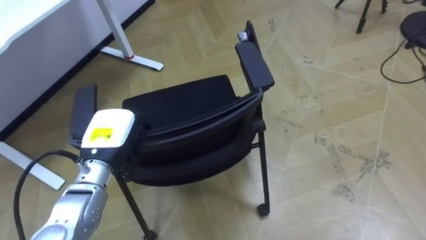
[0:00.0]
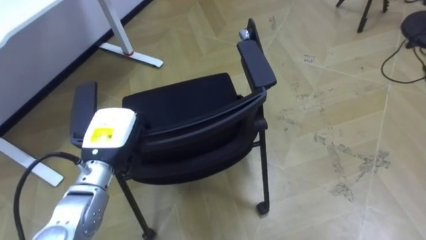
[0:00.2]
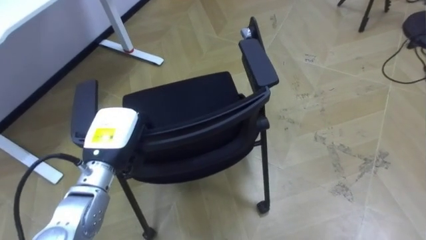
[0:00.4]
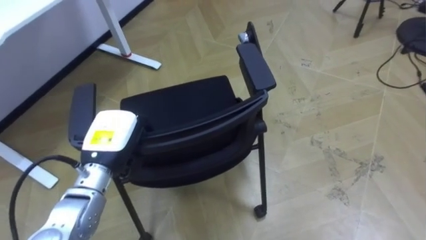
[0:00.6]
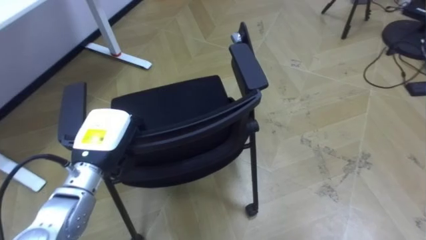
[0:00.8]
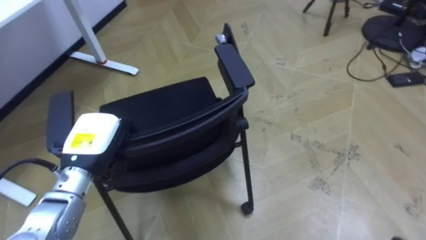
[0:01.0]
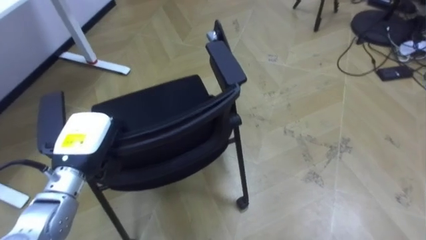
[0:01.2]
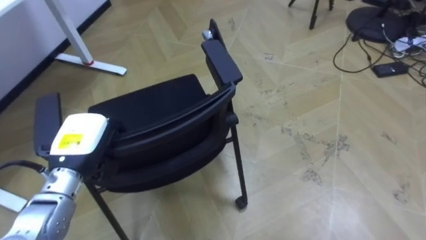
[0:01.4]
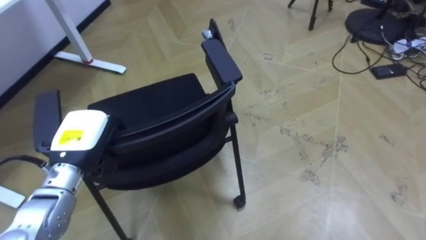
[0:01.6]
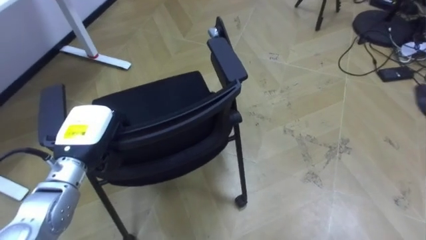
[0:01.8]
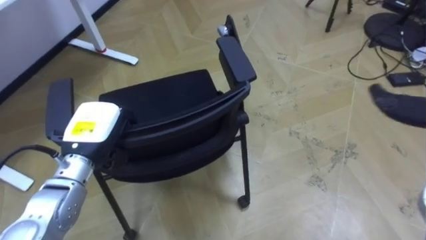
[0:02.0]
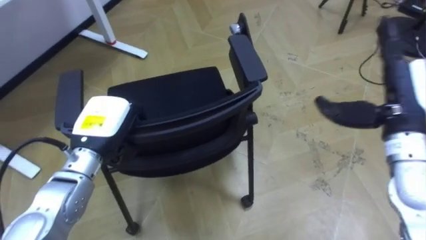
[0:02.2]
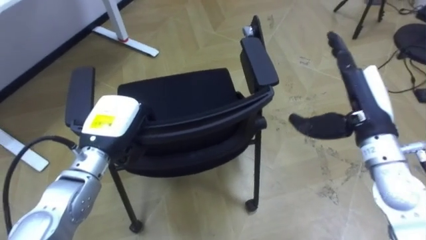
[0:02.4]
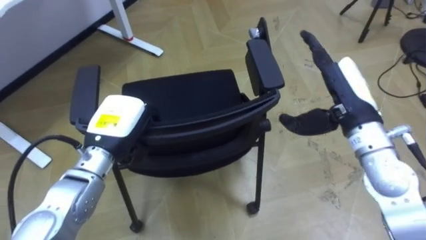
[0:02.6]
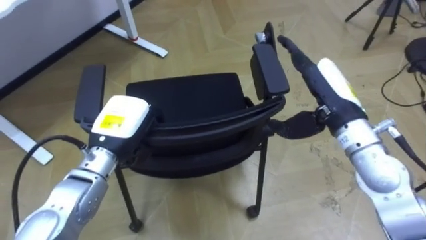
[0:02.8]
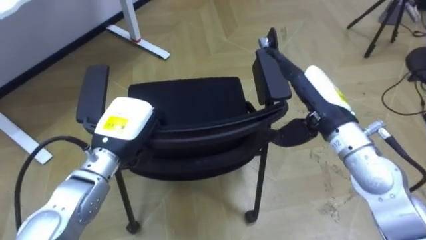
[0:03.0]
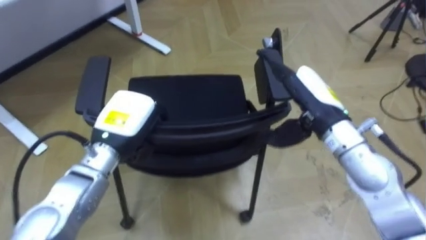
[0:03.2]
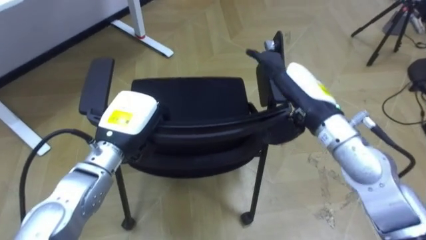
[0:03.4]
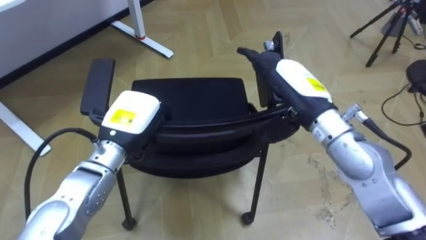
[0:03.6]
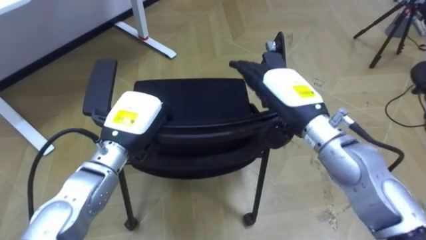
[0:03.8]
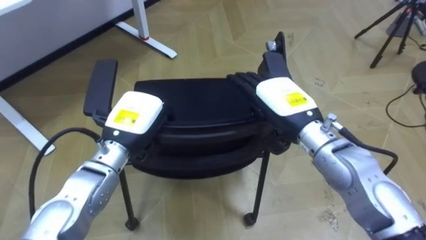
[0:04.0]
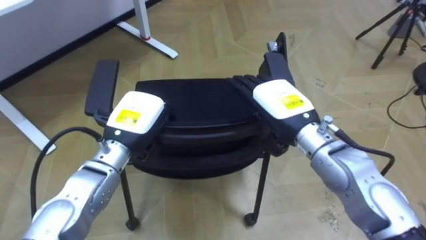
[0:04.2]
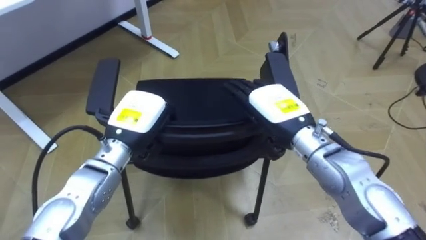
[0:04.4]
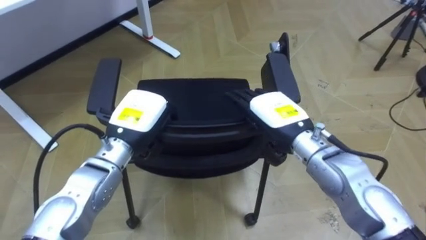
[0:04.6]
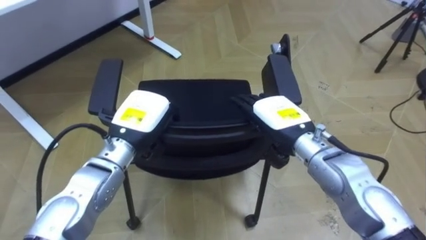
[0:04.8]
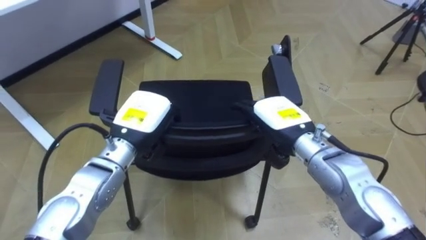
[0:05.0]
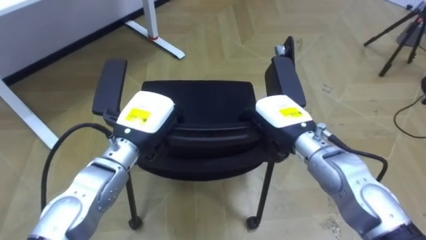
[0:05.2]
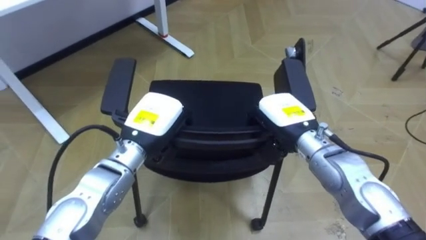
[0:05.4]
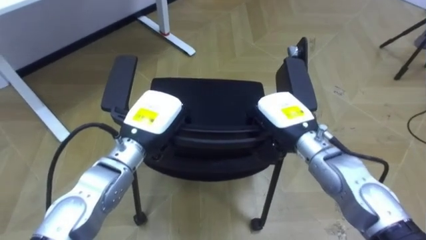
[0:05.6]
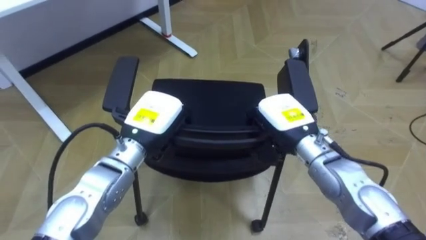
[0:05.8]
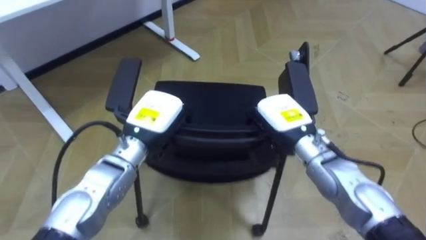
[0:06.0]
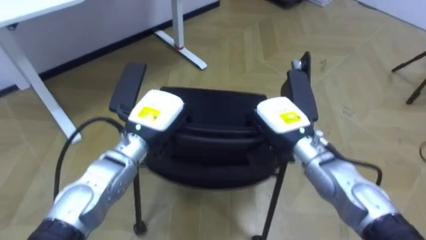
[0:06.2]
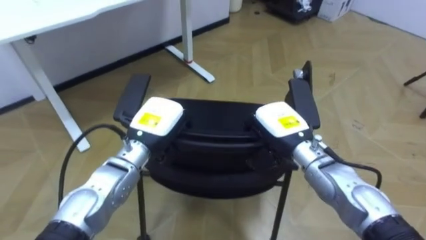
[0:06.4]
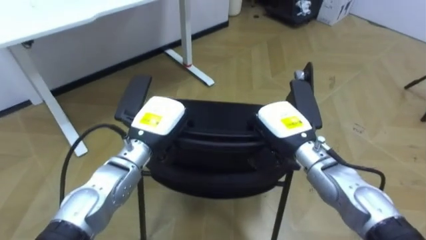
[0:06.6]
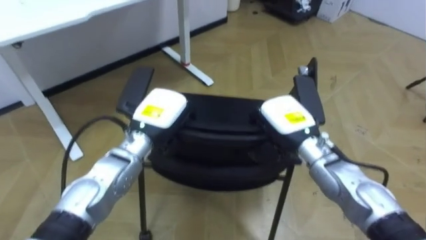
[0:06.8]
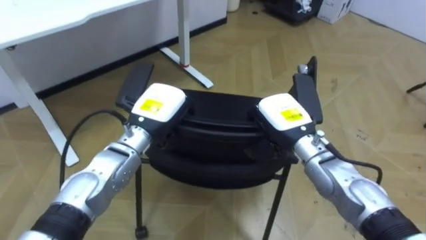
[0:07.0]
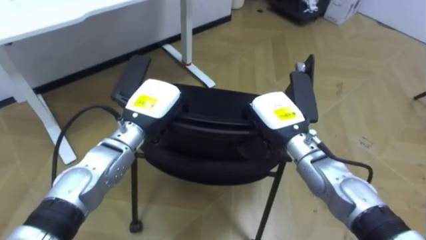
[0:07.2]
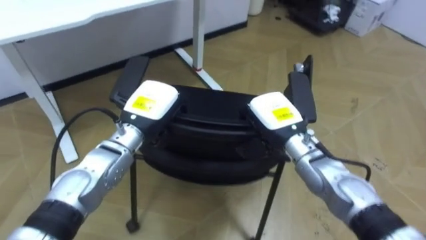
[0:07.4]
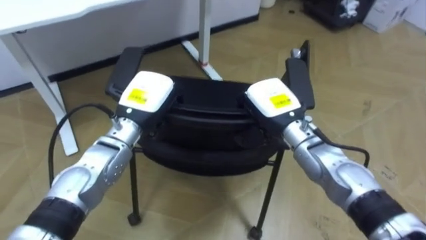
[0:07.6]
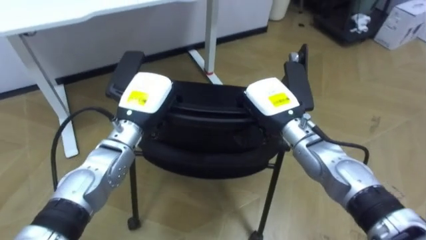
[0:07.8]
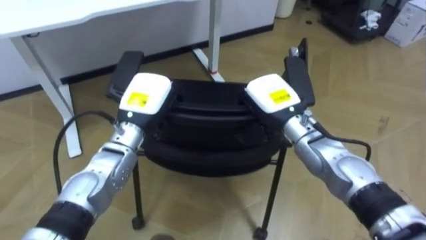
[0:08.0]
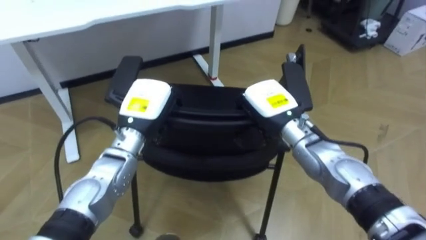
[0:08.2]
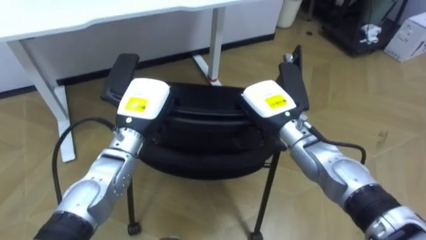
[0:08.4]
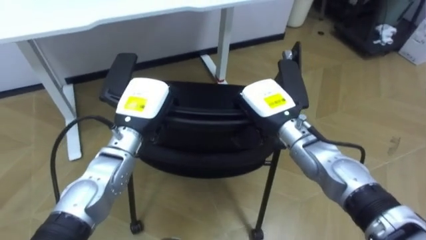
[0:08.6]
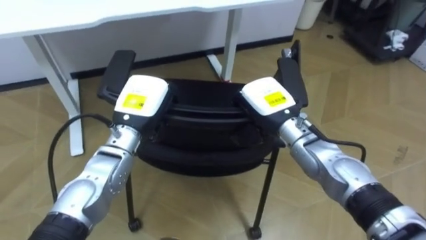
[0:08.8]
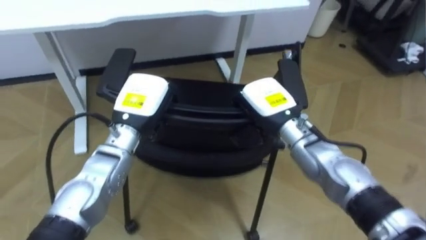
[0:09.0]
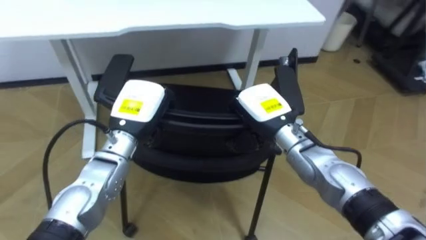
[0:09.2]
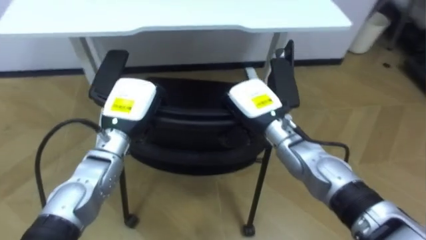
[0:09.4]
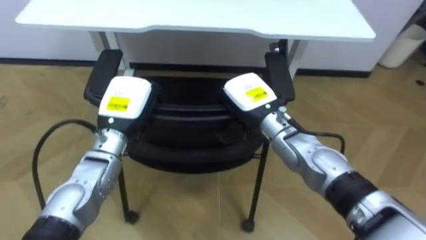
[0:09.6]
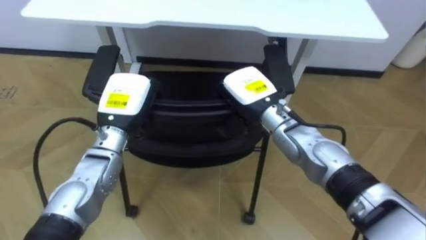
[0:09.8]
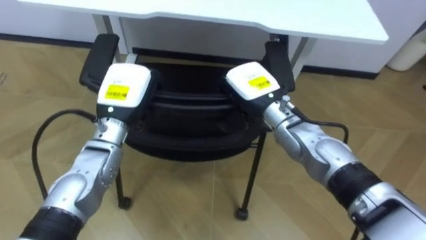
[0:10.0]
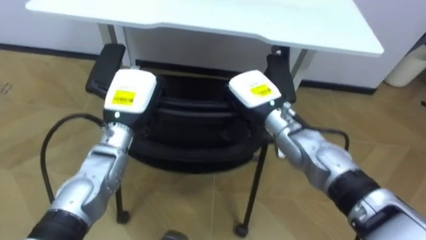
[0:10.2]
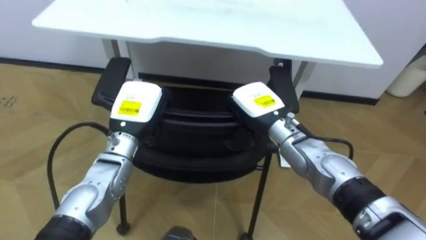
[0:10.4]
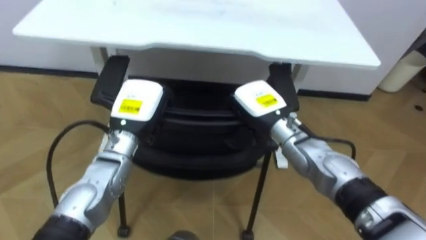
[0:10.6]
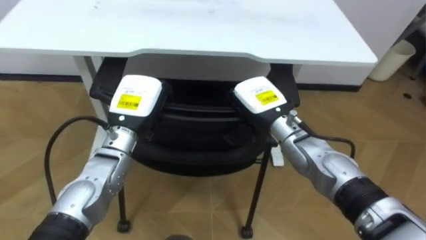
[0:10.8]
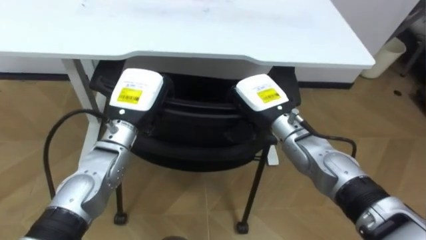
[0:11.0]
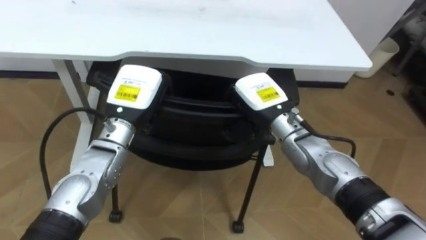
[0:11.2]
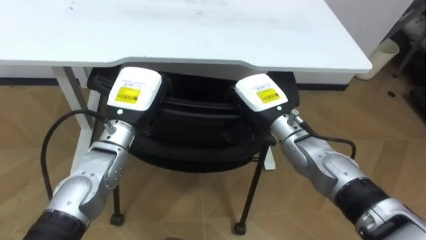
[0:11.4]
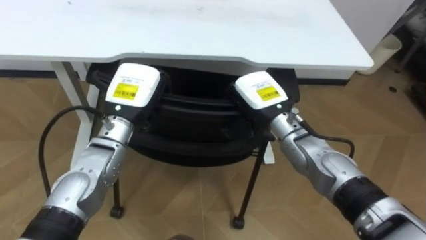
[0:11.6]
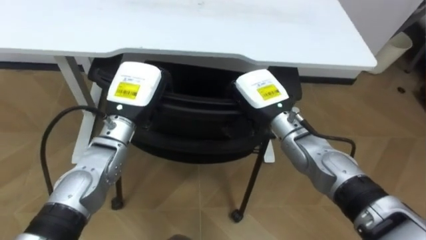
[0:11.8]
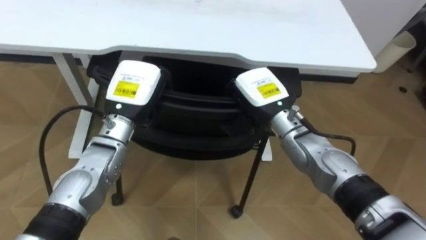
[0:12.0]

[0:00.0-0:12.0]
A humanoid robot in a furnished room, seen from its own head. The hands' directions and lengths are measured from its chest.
Task of the whole recording: Push the chair under the table.
0:01.6 to 0:03.0: The left hand heads to the right, covering about 5 cm.
0:03.0 to 0:04.4: The right hand travels to the left by roughly 5 cm.
0:04.4 to 0:06.0: The right hand moves some 5 cm, and closes its fingers.
0:09.0 to 0:10.4: The robot rotates about 20 degrees to its left.

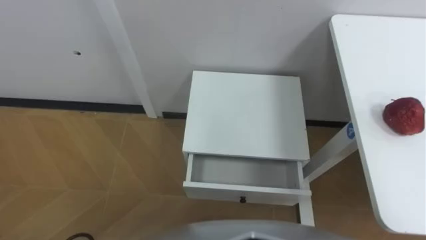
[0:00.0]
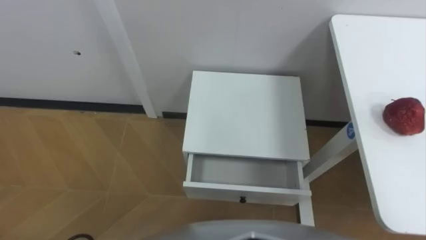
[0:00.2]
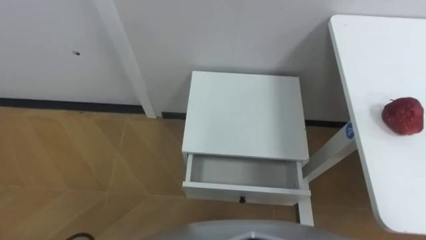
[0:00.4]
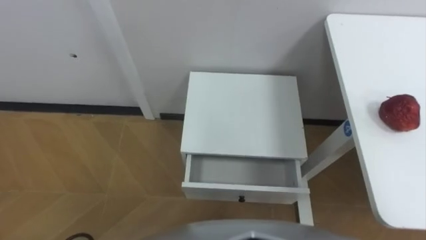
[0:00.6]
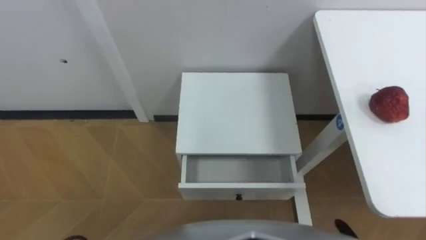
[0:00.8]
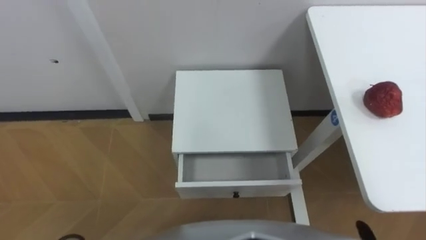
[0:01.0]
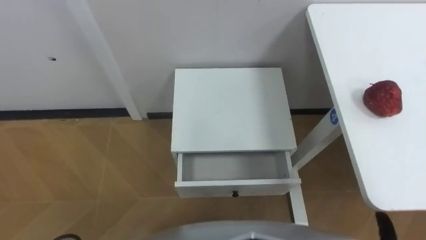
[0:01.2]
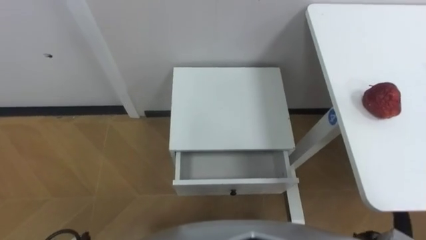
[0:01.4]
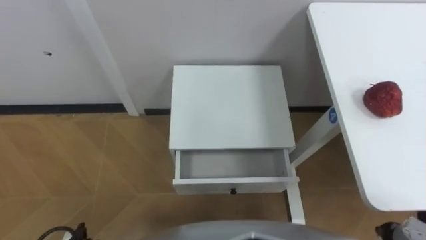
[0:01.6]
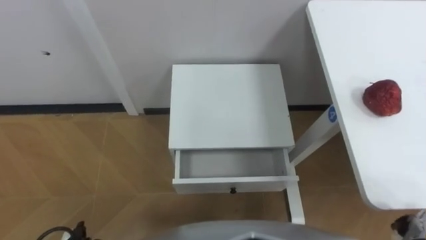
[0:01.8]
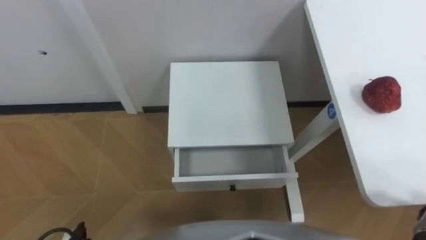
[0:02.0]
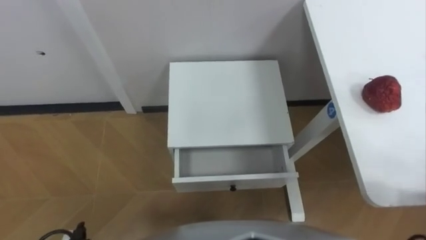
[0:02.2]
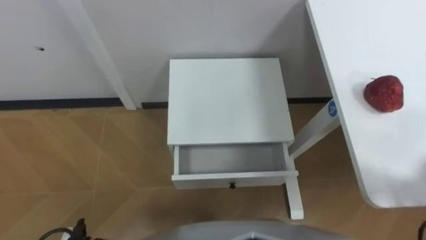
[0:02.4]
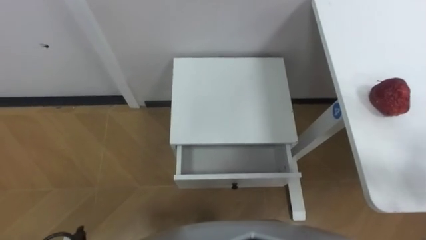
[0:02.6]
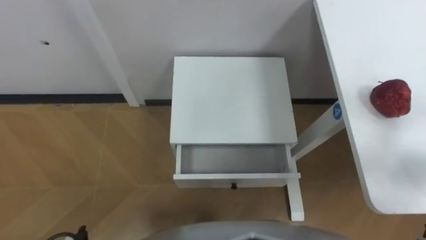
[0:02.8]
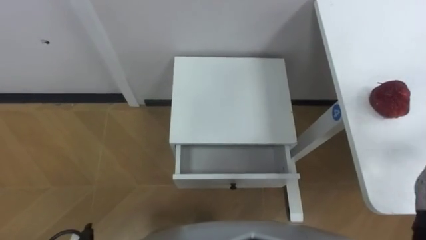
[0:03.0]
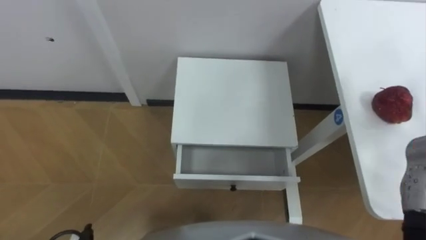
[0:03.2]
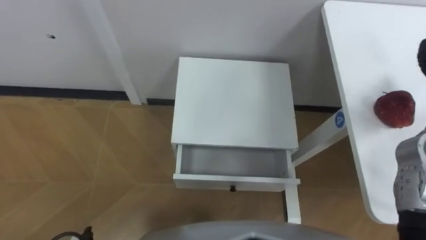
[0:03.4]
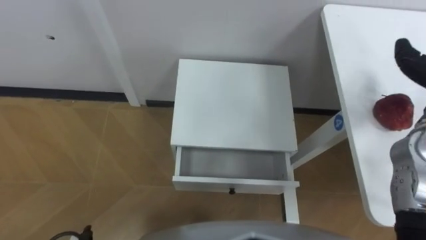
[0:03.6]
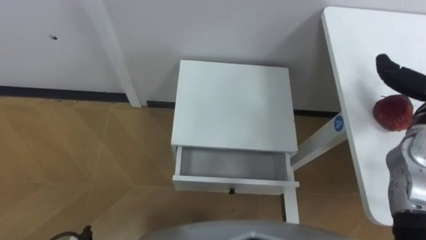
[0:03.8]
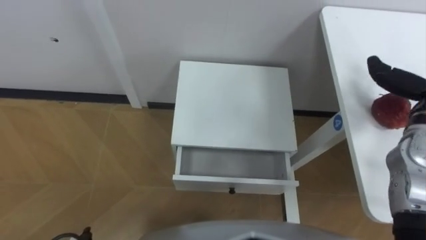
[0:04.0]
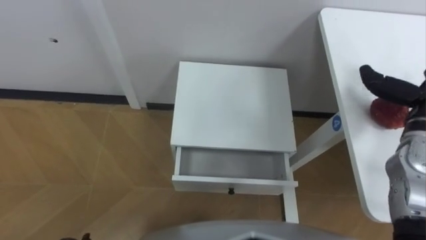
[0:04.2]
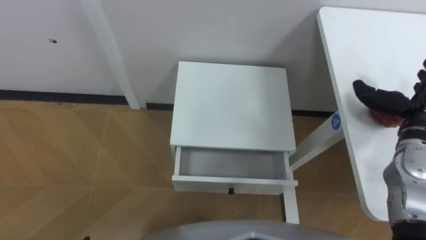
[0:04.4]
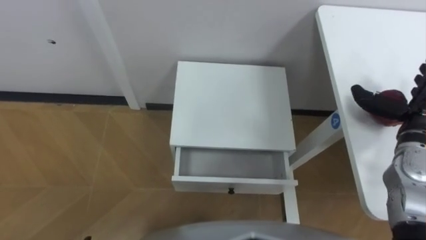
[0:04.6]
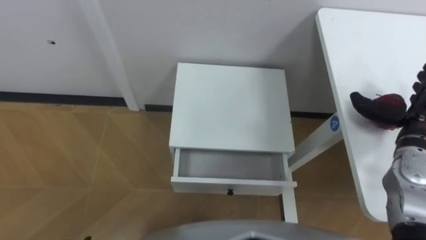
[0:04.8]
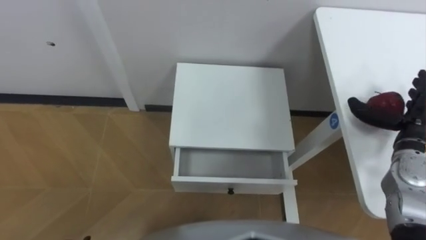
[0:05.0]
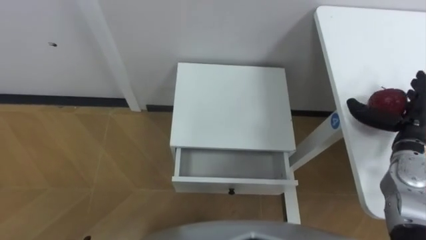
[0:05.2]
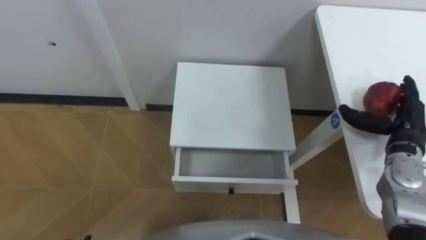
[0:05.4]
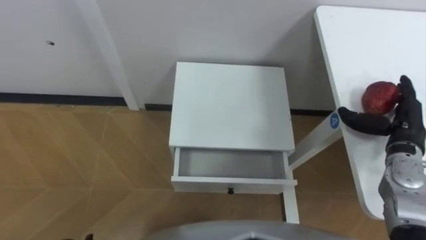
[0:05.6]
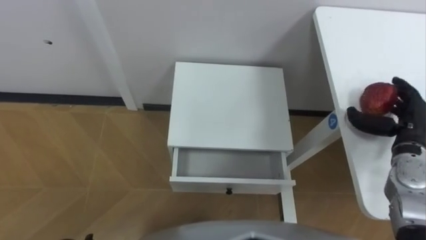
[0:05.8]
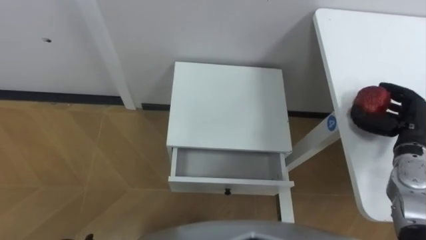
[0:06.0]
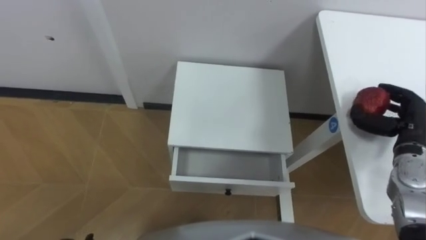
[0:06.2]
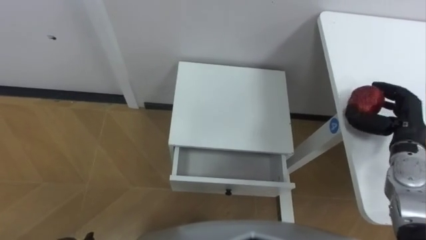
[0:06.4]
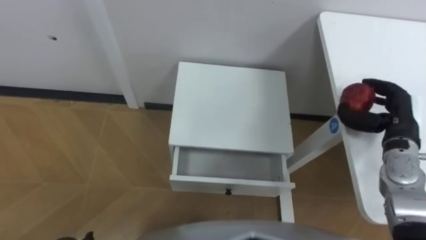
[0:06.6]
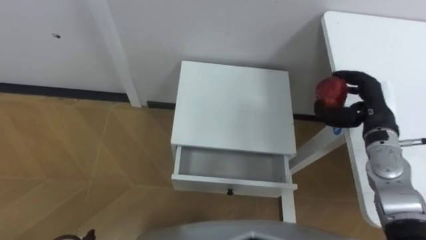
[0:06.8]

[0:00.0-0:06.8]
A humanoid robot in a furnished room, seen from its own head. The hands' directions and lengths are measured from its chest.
Task of the whole recording: Pick up the apple from the table, put it in the drawer, and close the drawer with leg.
0:05.4 to 0:06.8: The right hand moves roughly 5 cm, and closes up.
